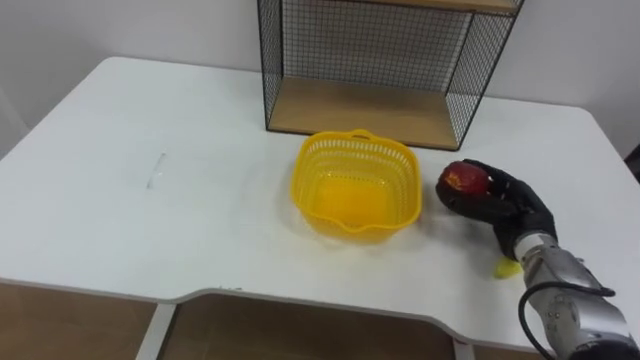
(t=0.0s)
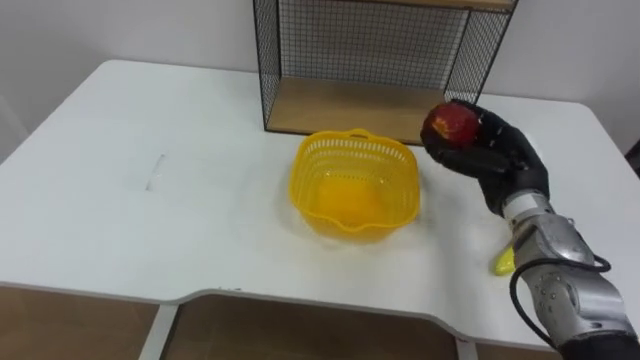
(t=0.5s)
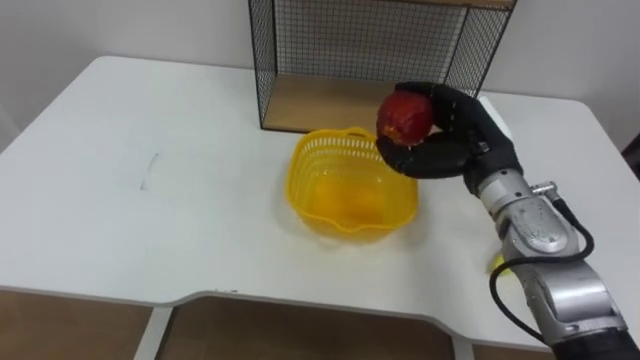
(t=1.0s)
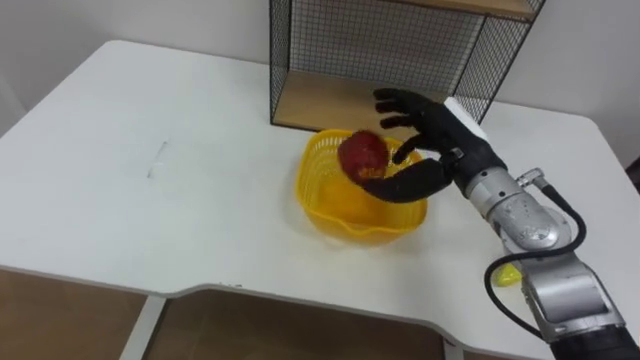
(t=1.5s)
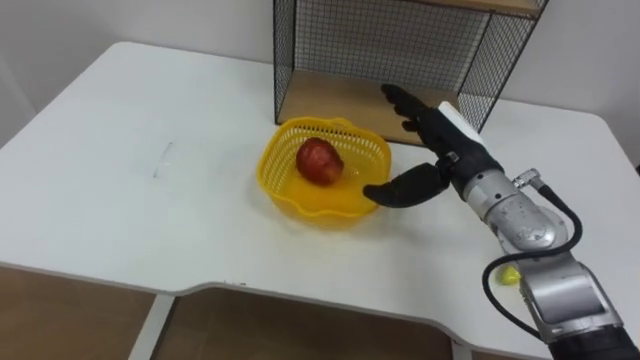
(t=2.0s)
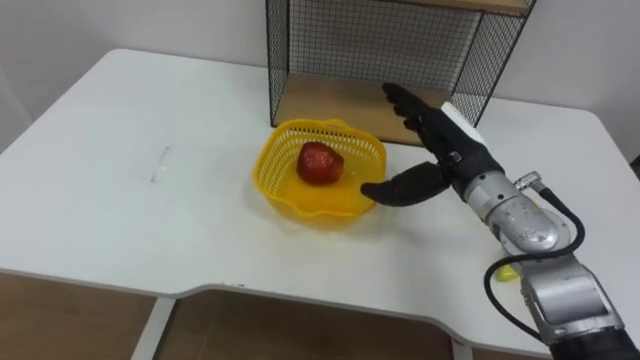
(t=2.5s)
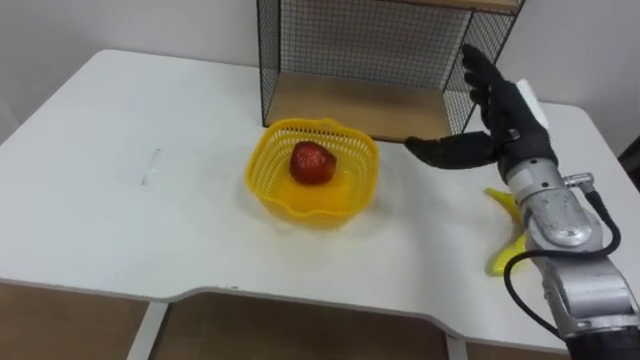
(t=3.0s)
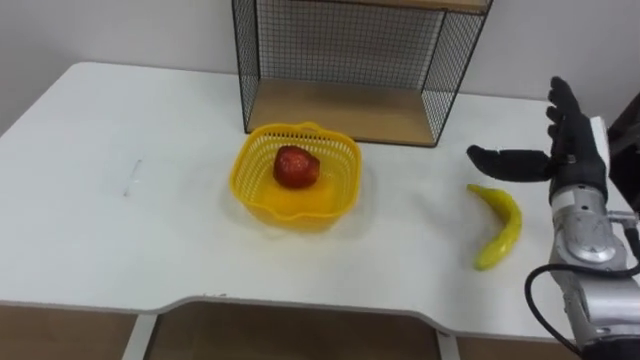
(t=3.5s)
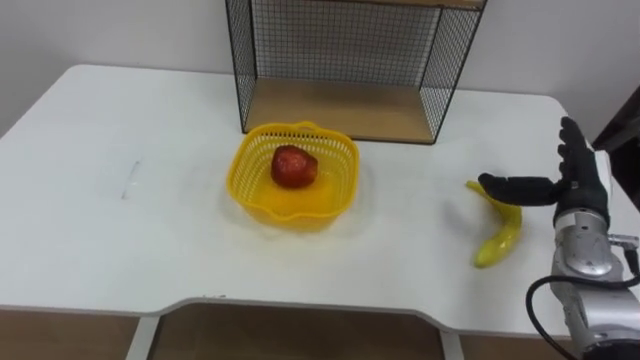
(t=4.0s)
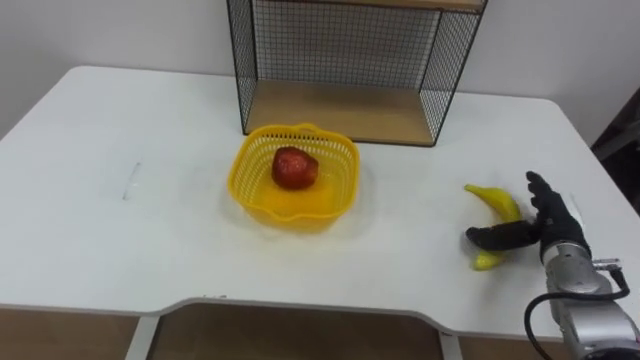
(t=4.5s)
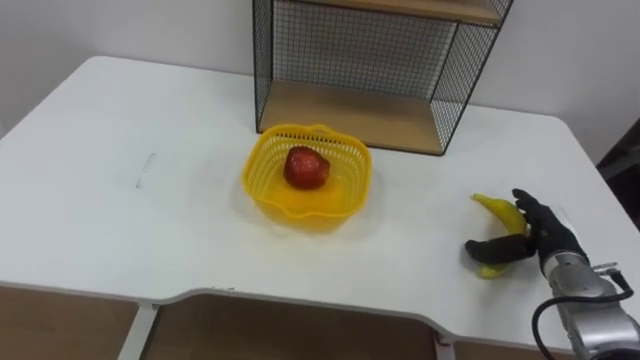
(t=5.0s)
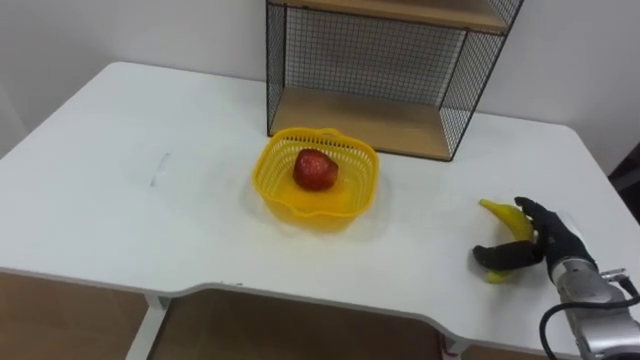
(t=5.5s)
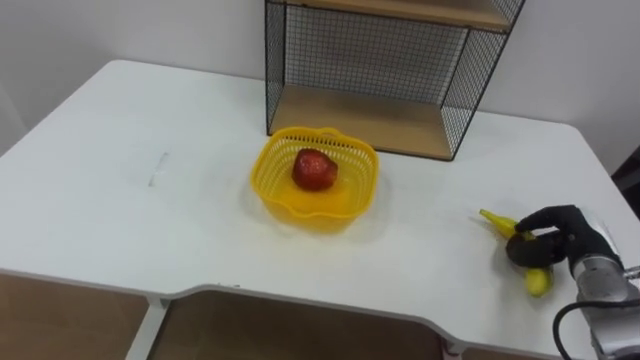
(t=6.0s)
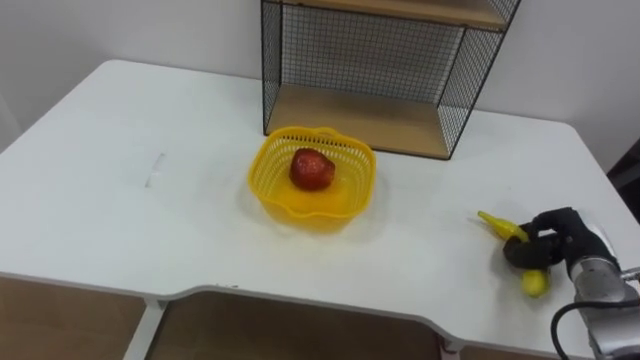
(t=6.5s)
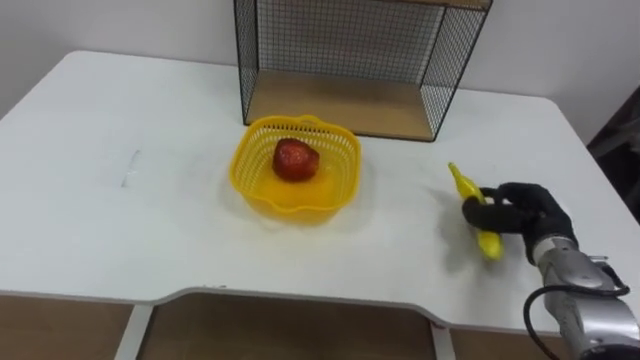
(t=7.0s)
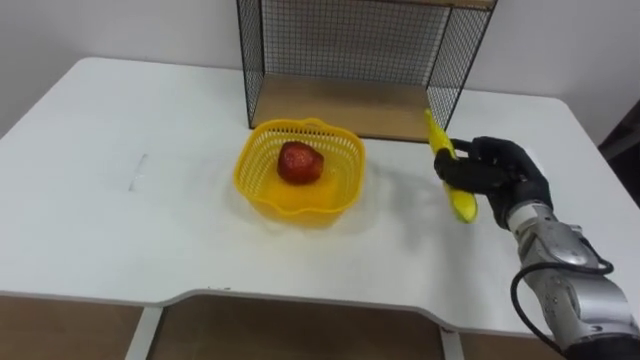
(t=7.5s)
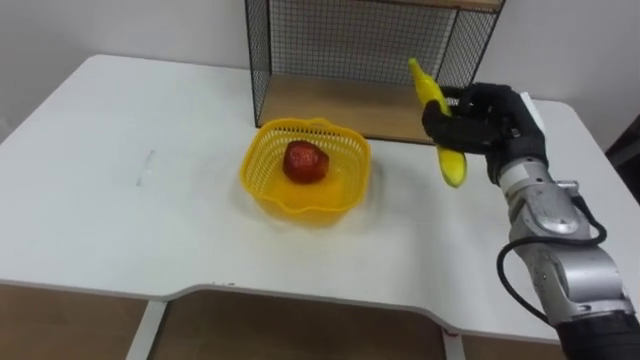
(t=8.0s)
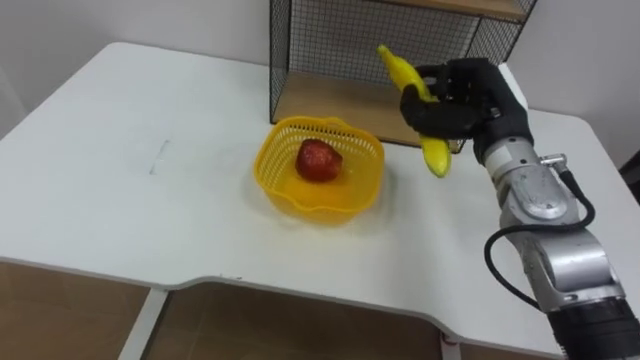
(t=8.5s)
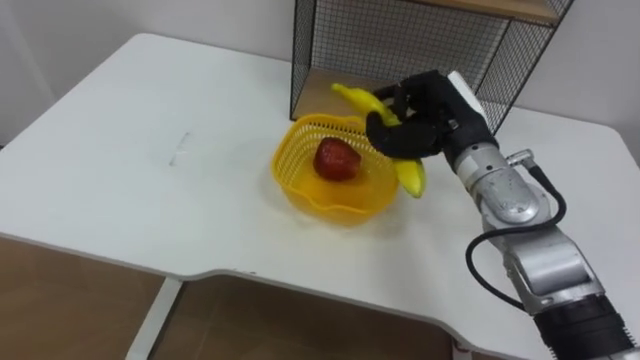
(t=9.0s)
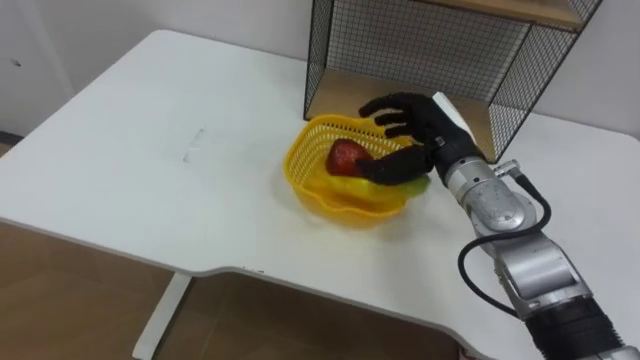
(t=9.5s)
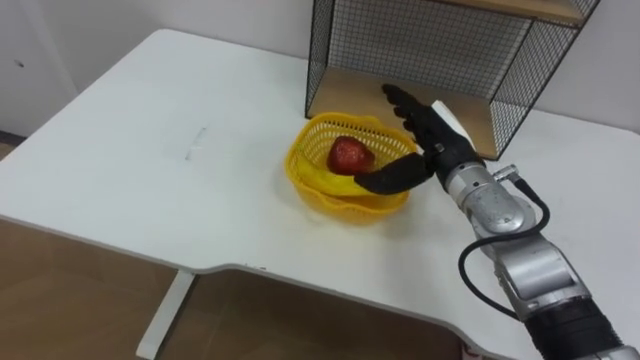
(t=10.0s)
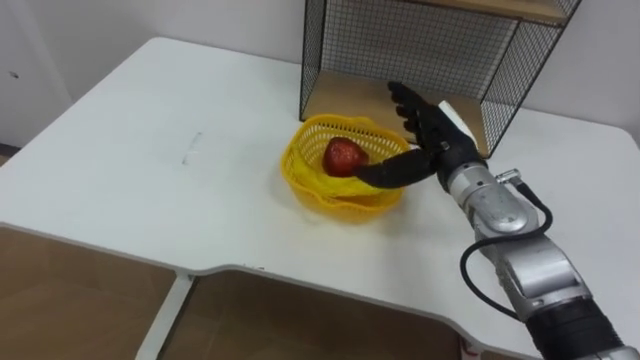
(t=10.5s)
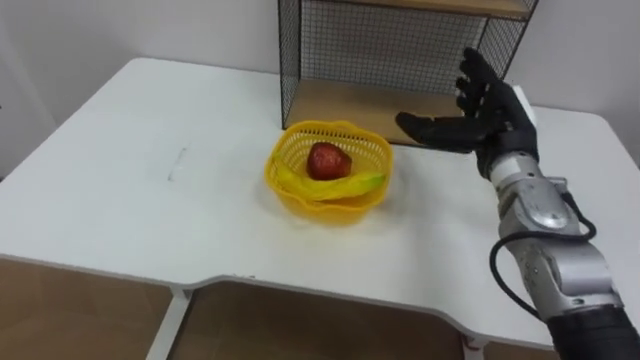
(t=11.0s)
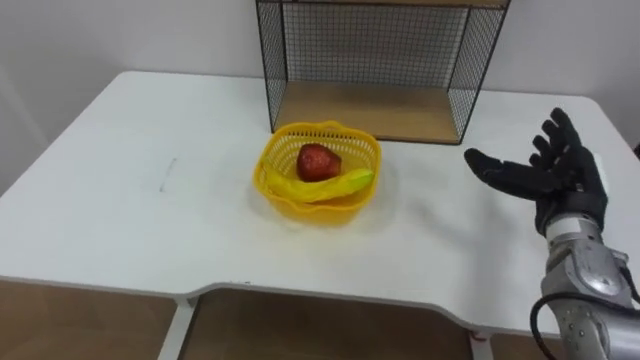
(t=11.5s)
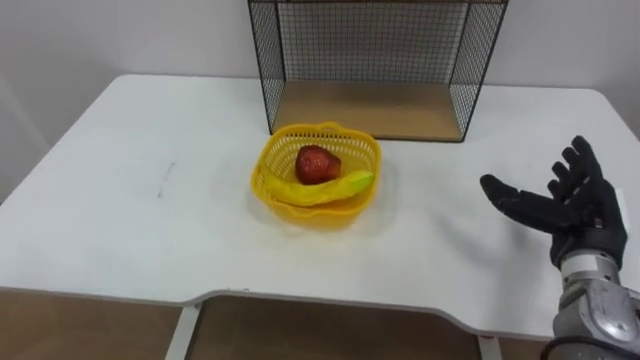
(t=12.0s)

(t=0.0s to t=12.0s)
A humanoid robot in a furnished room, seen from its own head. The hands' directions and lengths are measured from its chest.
Task of the whole recording: Put the fruit on the table into the basket, then place the basket on the shelf.
t=0.0s - t=2.0s: The right hand travels upward and to the left by roughly 15 cm, and opens up.
t=2.0s - t=4.0s: The right hand moves to the right, about 15 cm.
t=4.0s - t=6.0s: The right hand heads downward, covering approximately 10 cm, and closes its fingers.
t=6.0s - t=8.0s: The right hand moves upward, to the left and forward, some 20 cm.
t=8.0s - t=10.0s: The right hand heads to the left, covering approximately 10 cm, and opens up.
t=10.0s - t=12.0s: The right hand shifts roughly 20 cm to the right and backward.

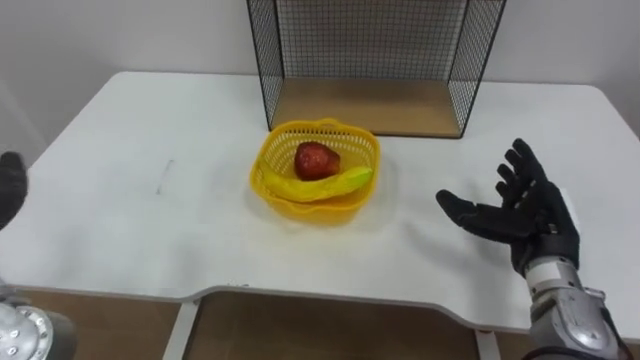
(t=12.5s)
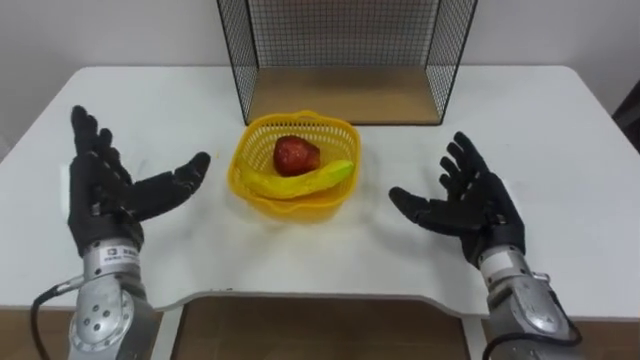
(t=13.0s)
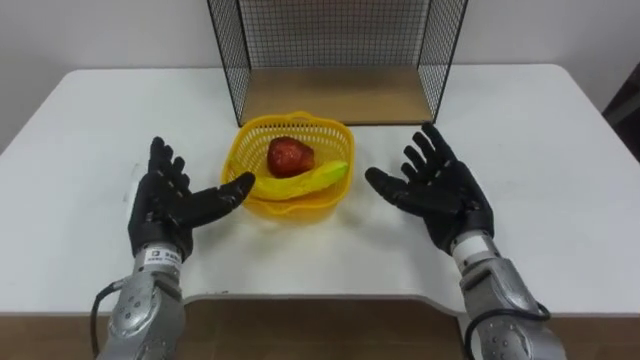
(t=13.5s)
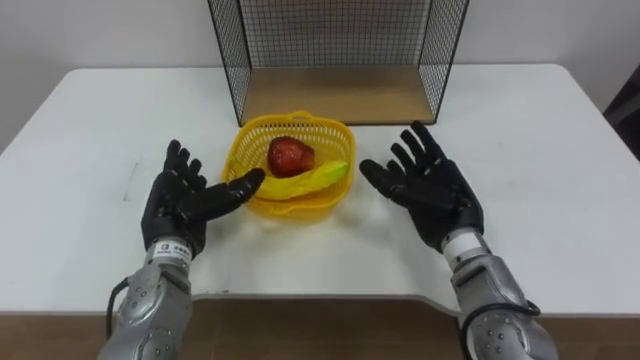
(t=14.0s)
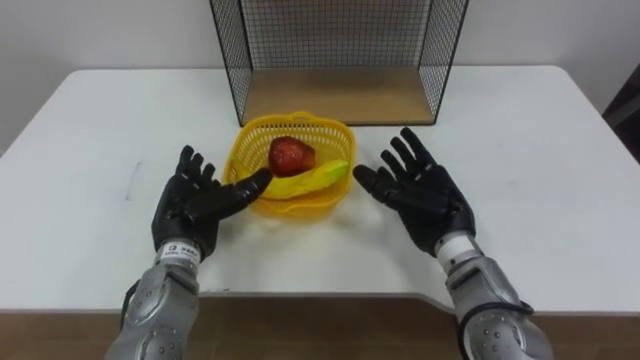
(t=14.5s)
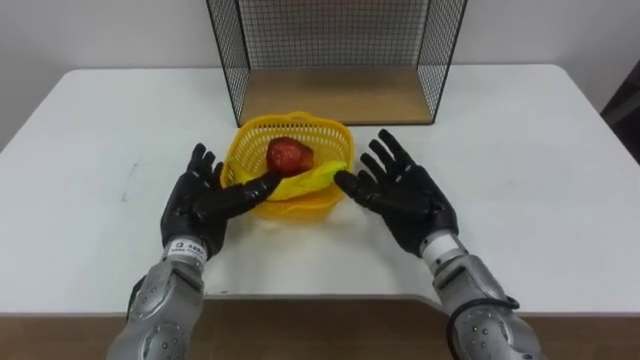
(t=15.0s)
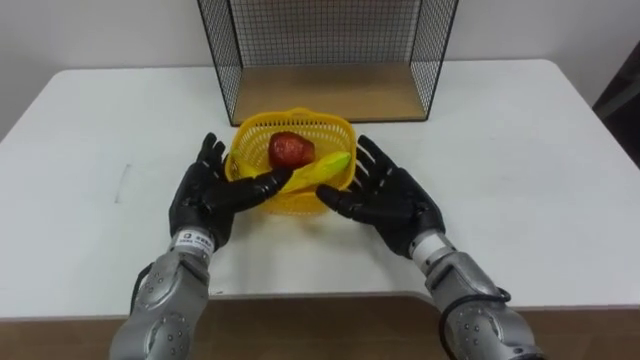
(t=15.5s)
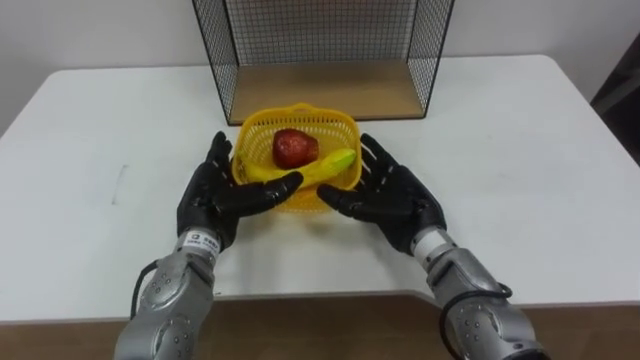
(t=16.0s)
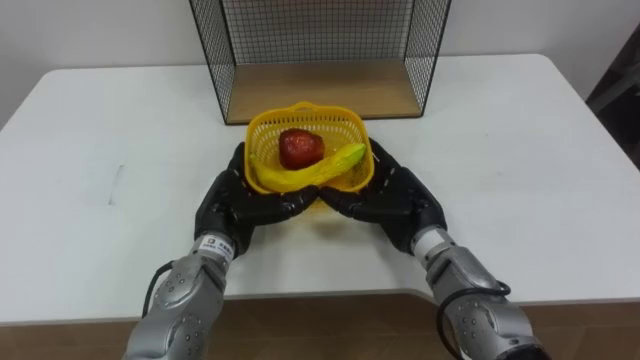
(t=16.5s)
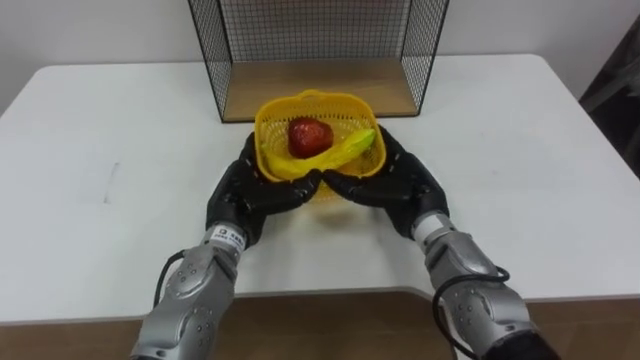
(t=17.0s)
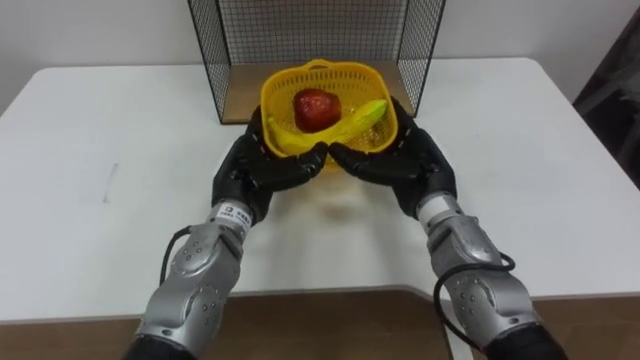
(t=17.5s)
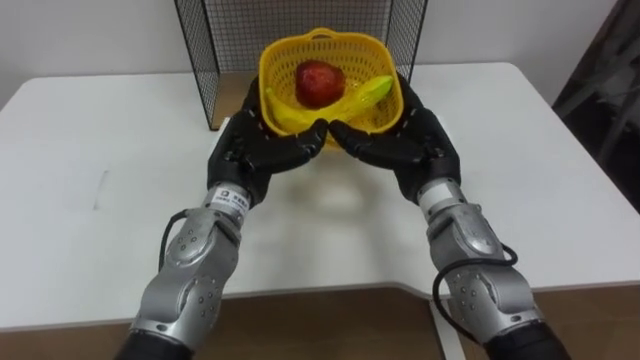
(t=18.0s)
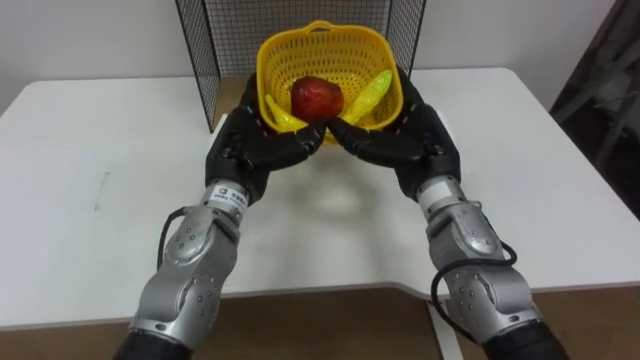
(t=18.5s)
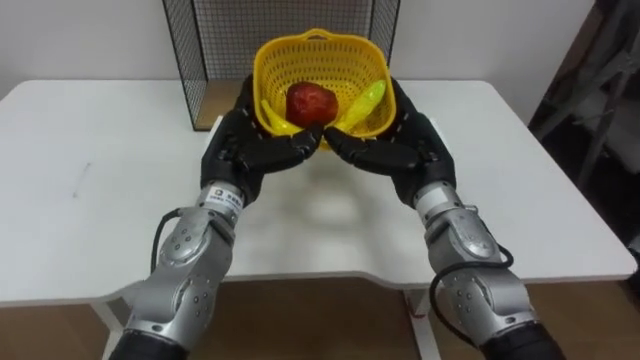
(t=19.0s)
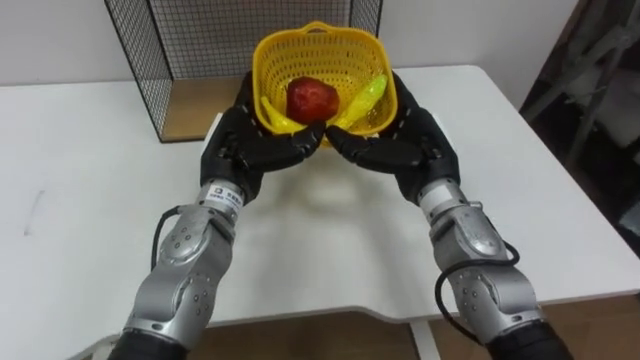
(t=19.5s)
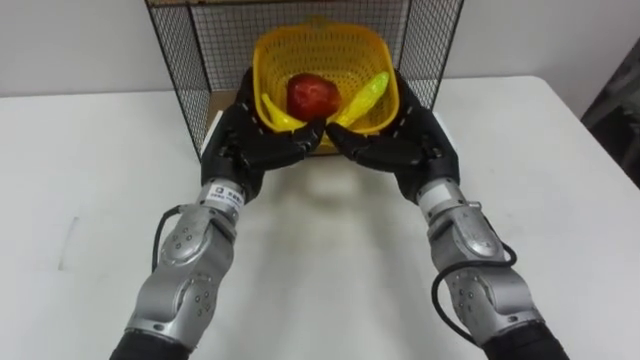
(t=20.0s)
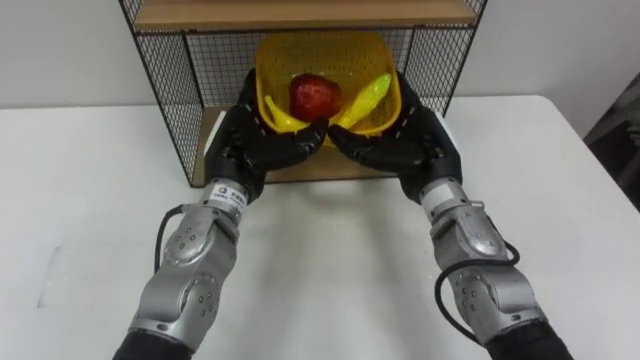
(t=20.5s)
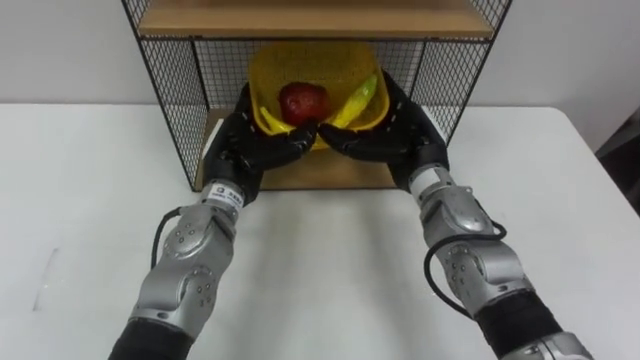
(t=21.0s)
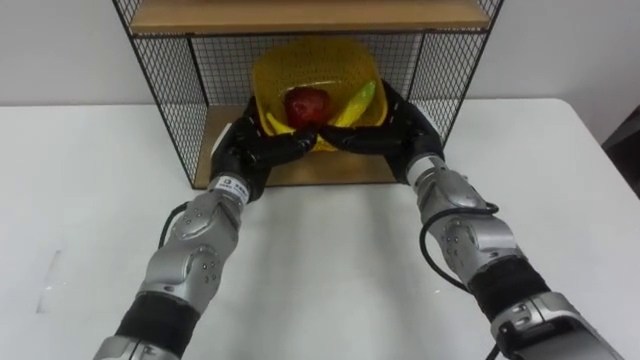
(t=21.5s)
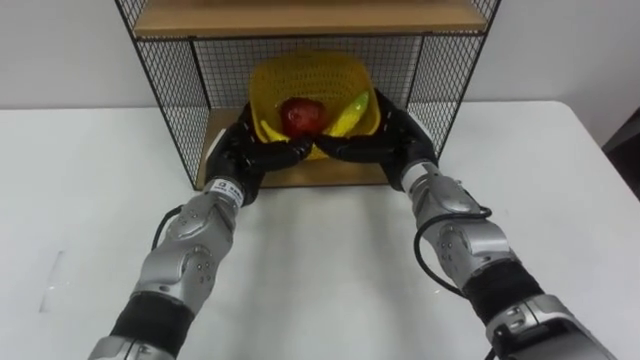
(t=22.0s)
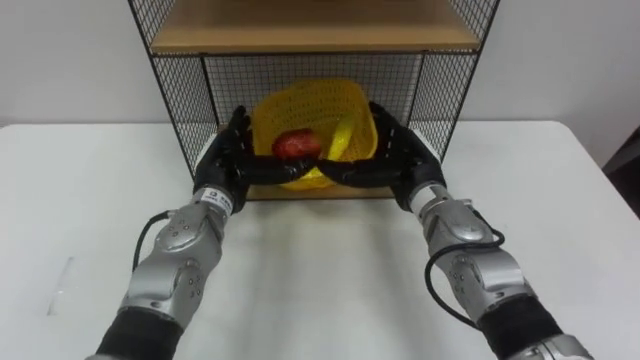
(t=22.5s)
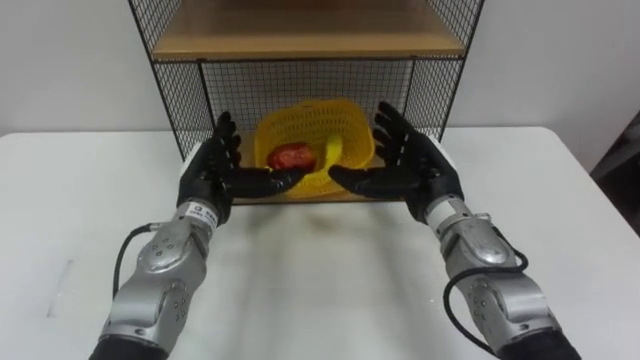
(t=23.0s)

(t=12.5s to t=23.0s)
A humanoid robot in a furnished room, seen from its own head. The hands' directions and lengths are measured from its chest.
Task of the whole recording: Put the fruit on the table into the basket, then place the basket on the shelf.
t=12.5s - t=14.5s: The right hand shifts about 10 cm to the left.
t=14.5s - t=16.5s: The left hand heads to the right, covering about 5 cm.
t=16.5s - t=19.0s: The hands both shift upward by roughly 5 cm.
t=21.0s - t=23.0s: The left hand moves about 5 cm.
